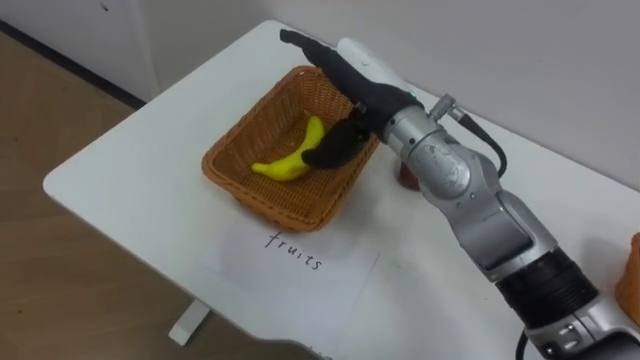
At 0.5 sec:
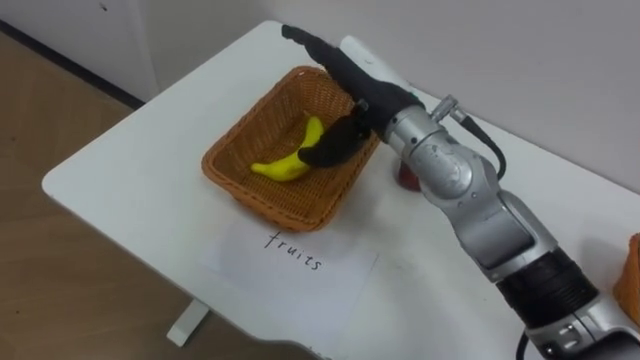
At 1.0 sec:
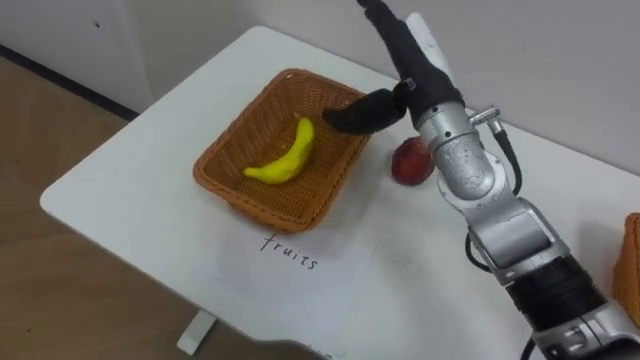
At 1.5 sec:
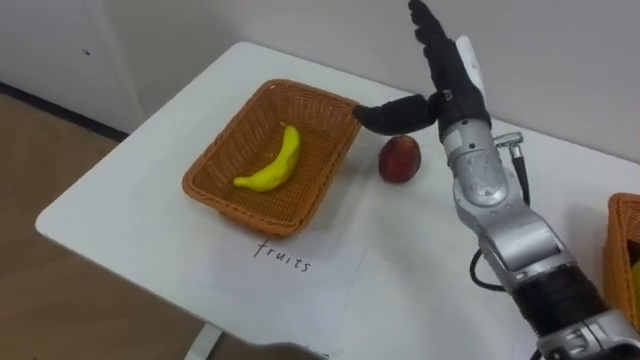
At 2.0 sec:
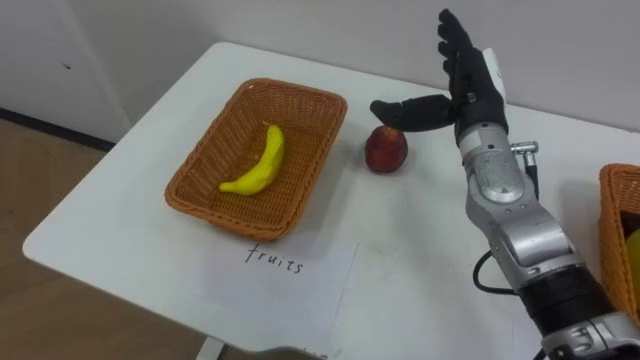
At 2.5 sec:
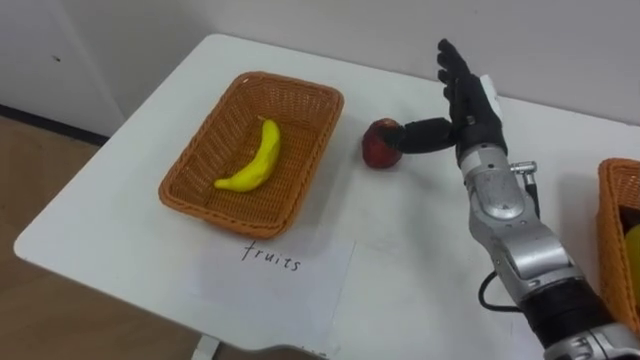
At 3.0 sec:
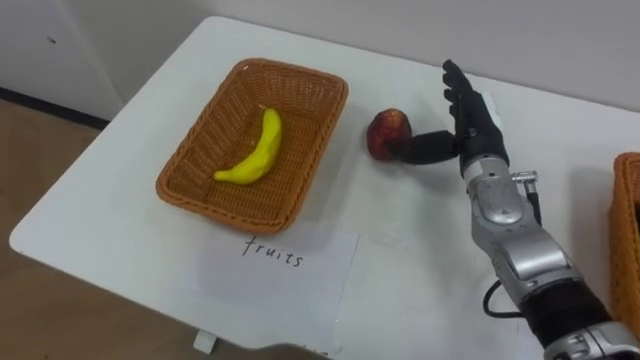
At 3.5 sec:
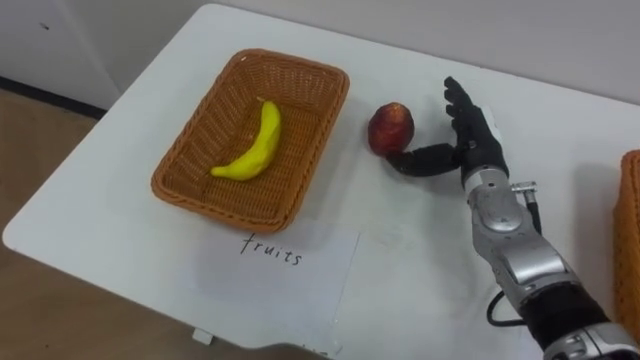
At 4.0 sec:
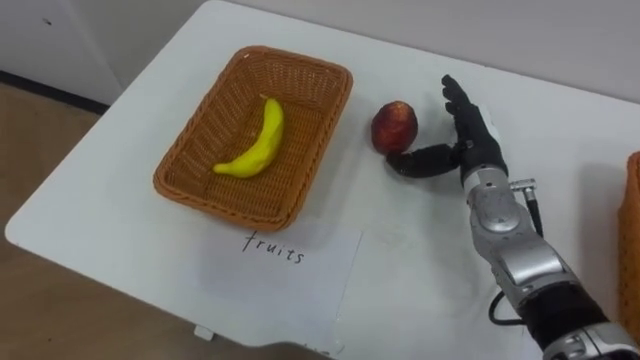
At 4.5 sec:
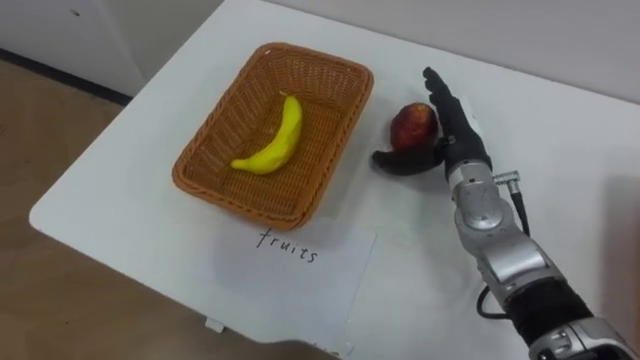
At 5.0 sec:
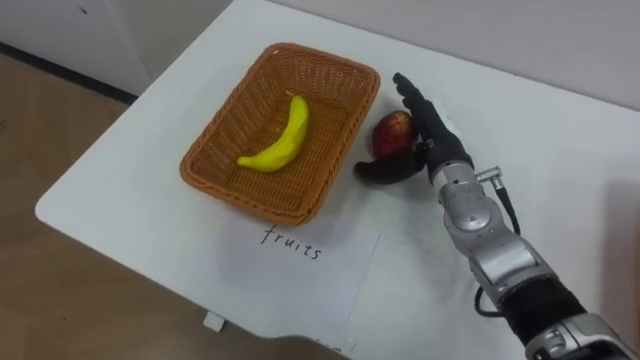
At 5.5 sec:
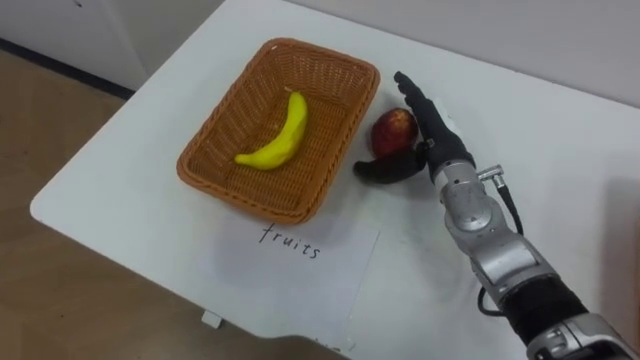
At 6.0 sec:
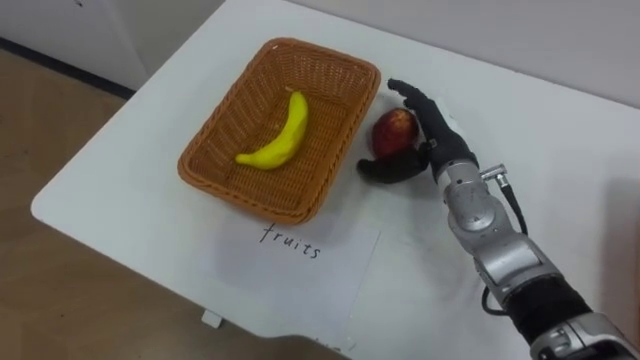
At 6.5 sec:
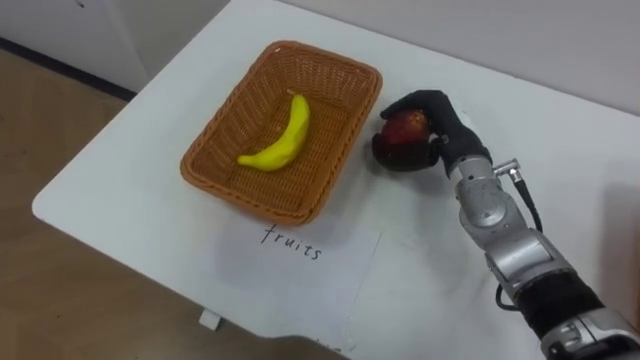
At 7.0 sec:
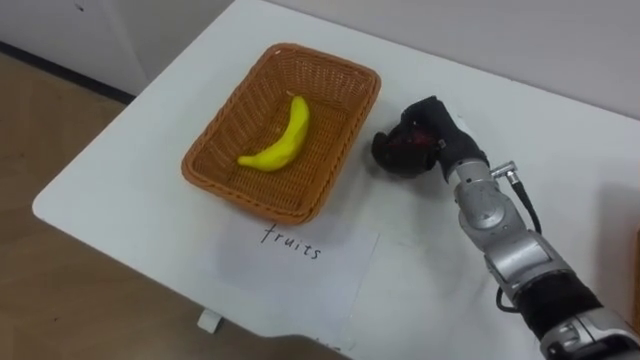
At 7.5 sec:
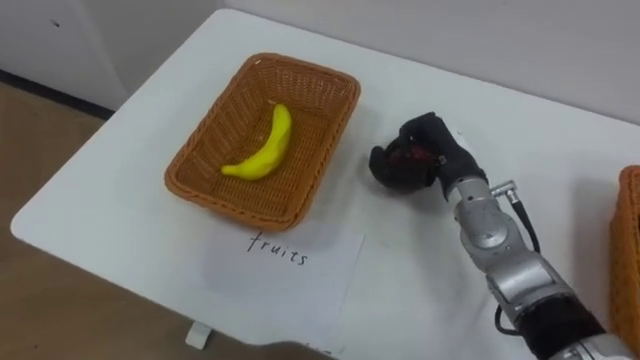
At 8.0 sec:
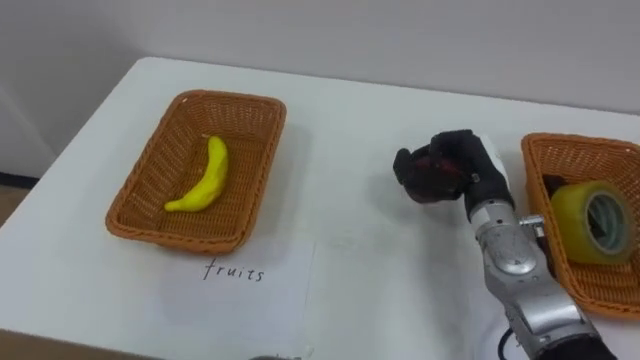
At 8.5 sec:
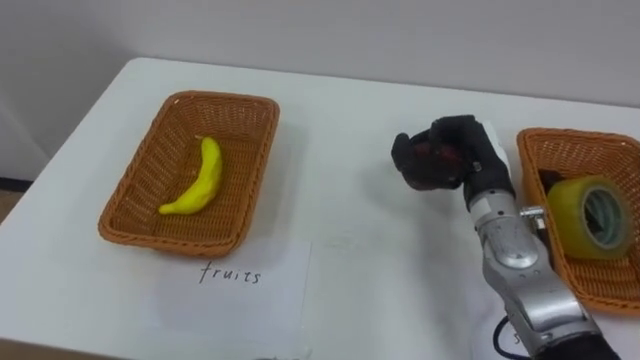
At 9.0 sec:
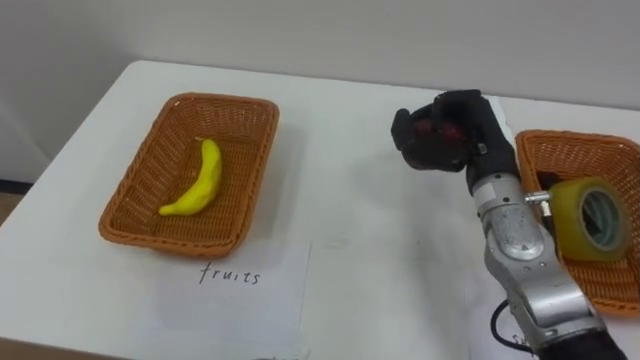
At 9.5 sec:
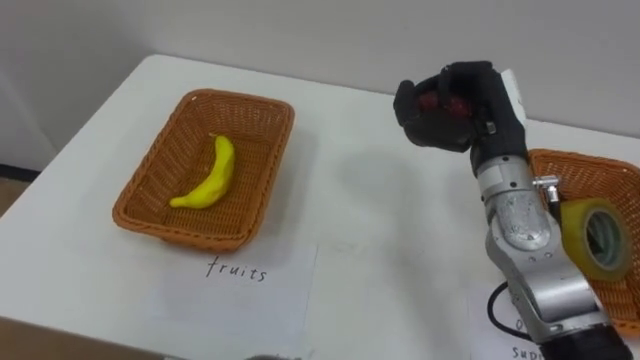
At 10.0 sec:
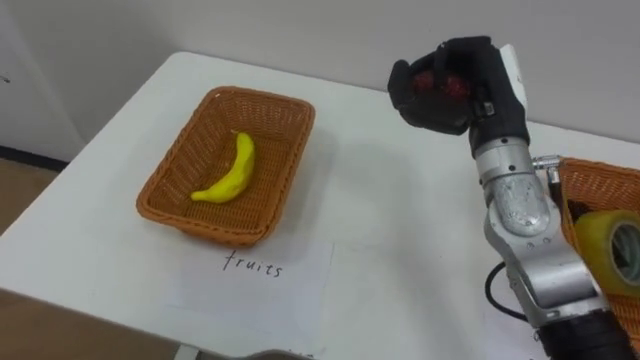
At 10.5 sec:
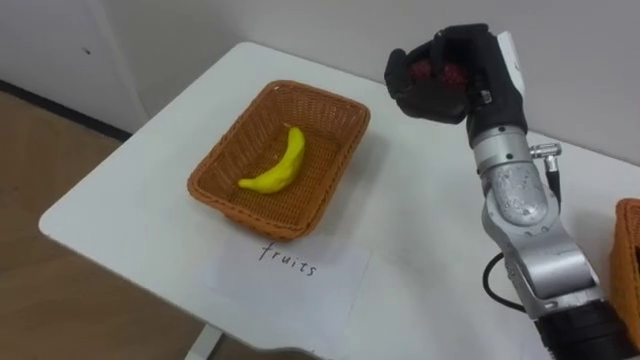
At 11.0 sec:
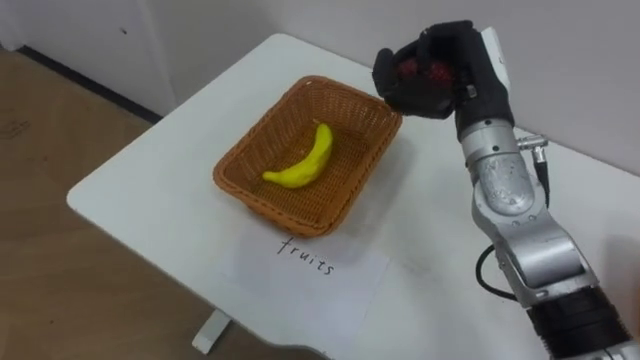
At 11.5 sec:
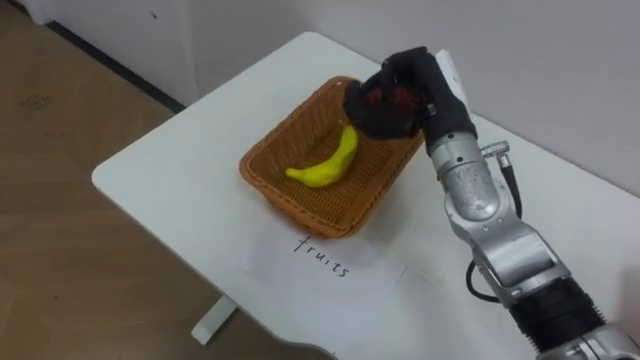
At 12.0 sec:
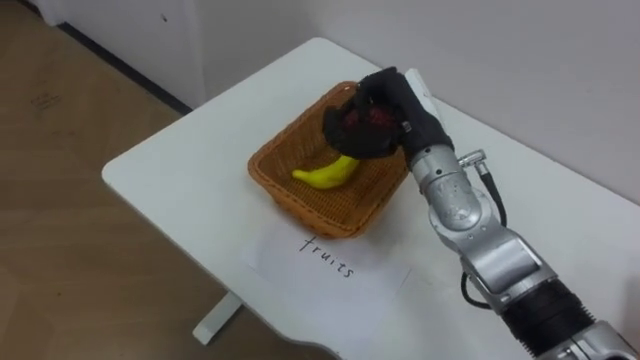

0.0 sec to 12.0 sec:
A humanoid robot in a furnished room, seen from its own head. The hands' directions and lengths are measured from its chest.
Task of the whole recording: Separate the items on the table and place them into the two baskets.
0.0 sec to 2.0 sec: The right hand goes about 10 cm to the right.
2.0 sec to 4.0 sec: The right hand is displaced downward by roughly 5 cm.
6.0 sec to 8.0 sec: The right hand moves to the right, approximately 5 cm, and closes up.
8.0 sec to 10.0 sec: The right hand is displaced upward by roughly 10 cm.
10.0 sec to 12.0 sec: The right hand moves to the left, some 10 cm.

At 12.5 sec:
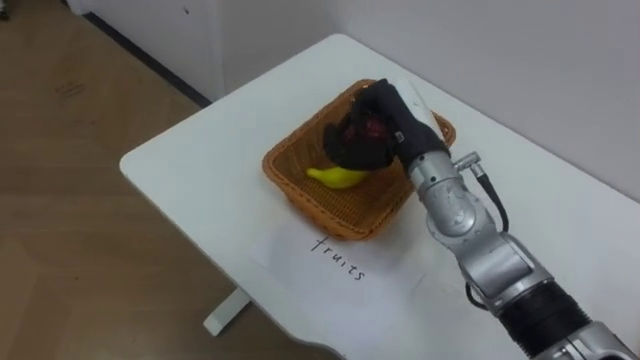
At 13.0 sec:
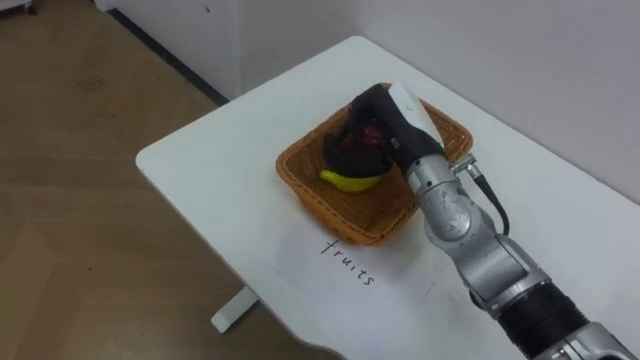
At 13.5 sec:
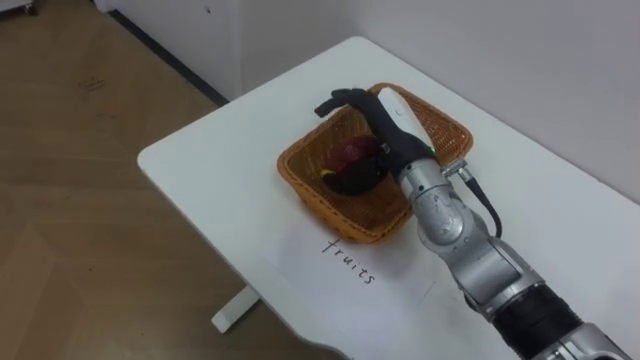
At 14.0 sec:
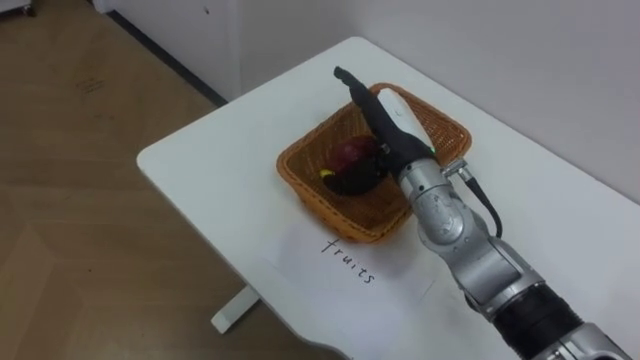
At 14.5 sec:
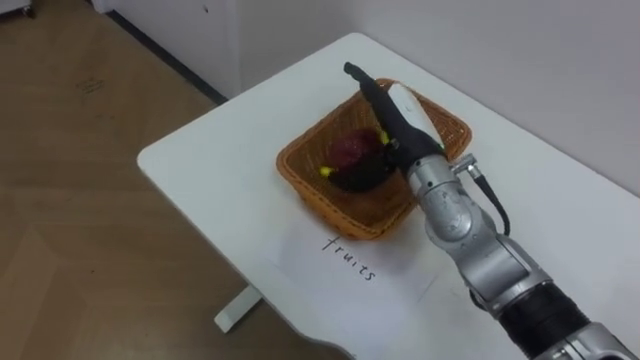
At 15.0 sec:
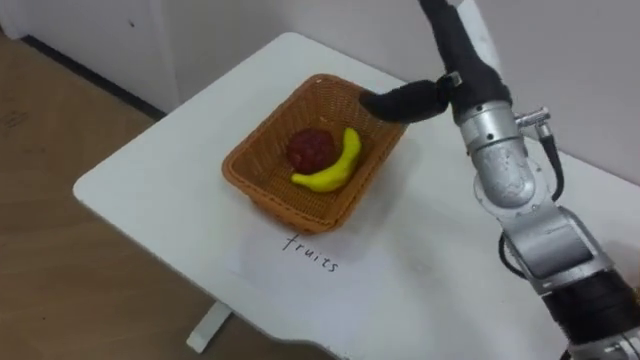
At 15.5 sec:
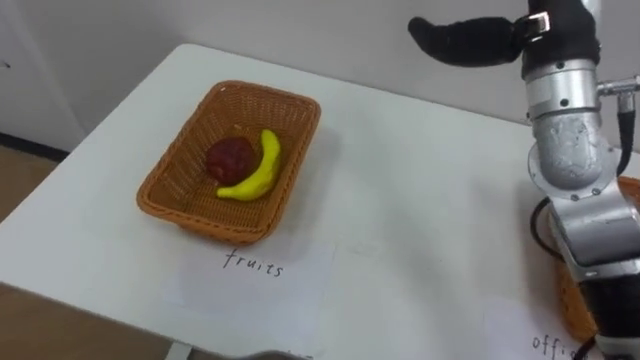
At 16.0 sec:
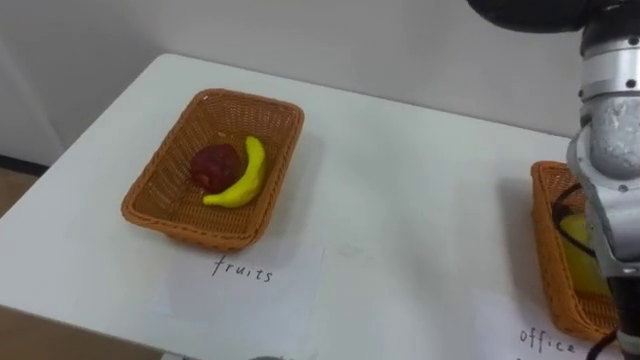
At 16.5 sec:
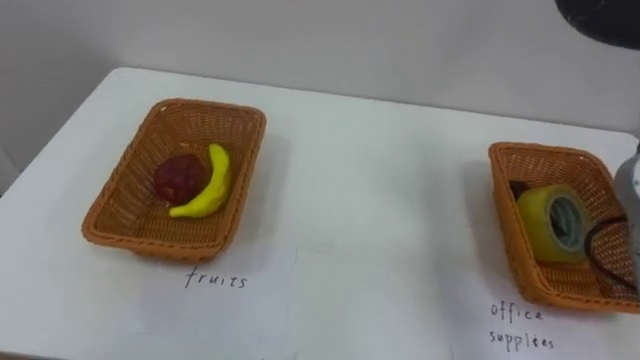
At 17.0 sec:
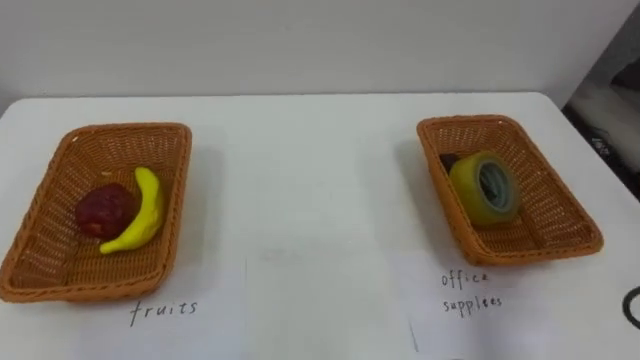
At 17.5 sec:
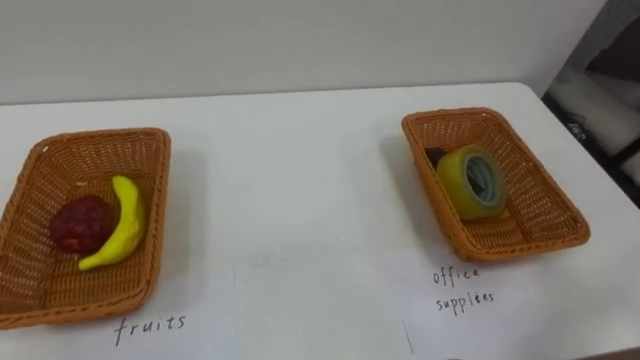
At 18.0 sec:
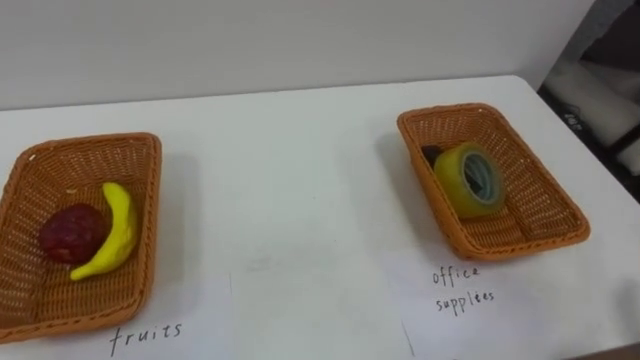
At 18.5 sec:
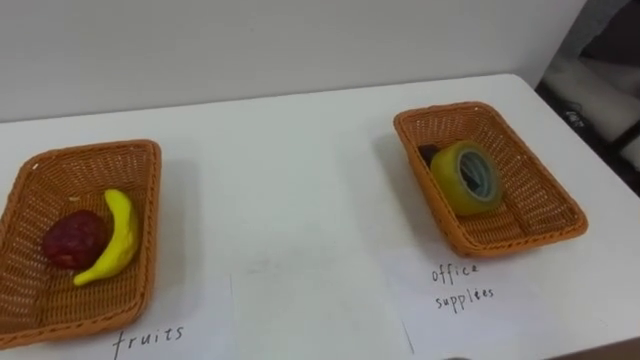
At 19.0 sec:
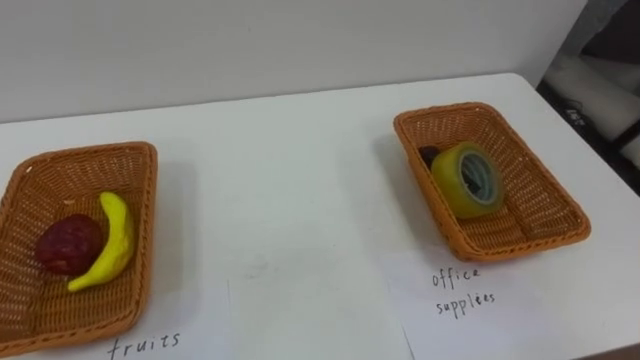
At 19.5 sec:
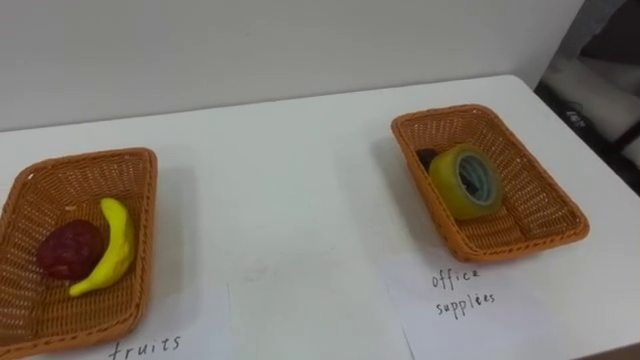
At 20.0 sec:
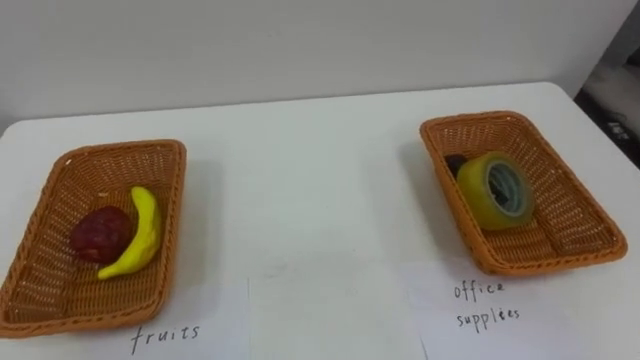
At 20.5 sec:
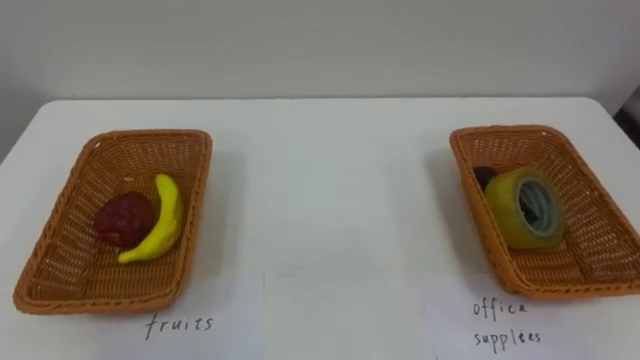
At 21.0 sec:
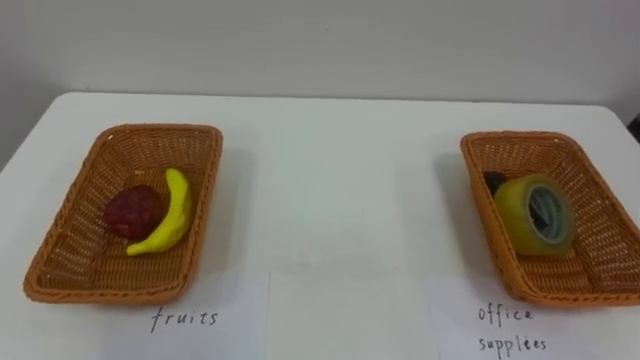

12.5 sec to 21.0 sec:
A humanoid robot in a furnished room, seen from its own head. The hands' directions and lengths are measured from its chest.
Task of the whole recording: Separate the items on the table and place them into the two baskets.
12.5 sec to 14.5 sec: The right hand opens its fingers.
